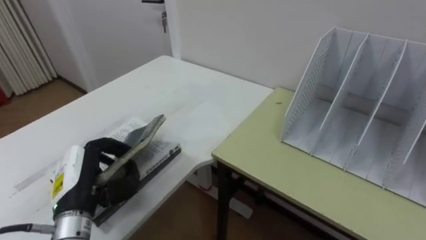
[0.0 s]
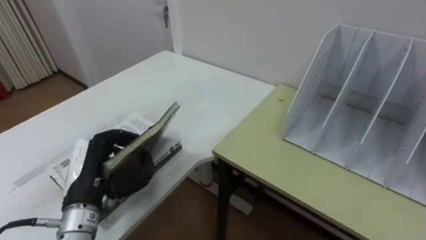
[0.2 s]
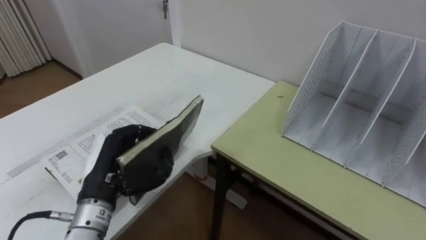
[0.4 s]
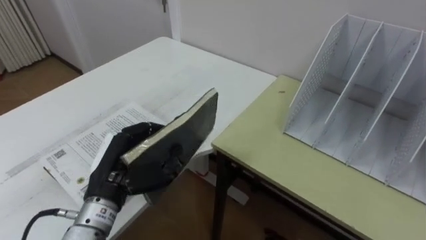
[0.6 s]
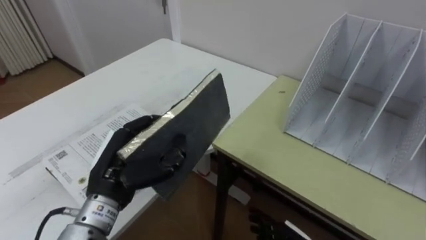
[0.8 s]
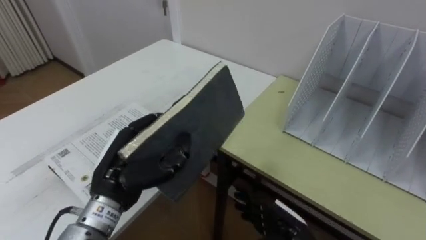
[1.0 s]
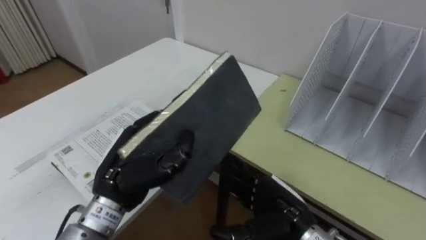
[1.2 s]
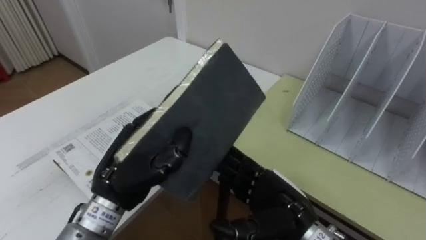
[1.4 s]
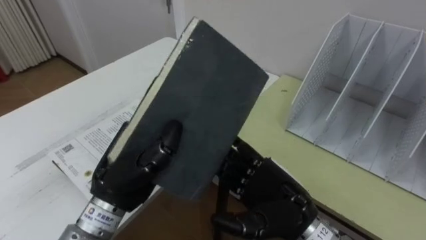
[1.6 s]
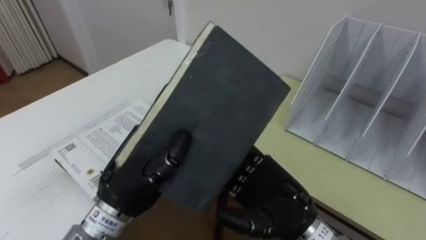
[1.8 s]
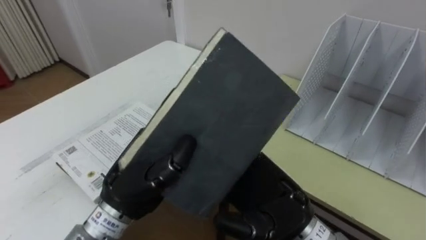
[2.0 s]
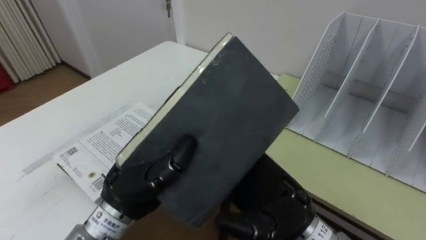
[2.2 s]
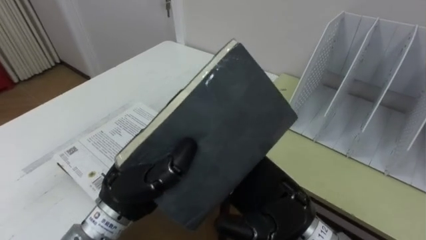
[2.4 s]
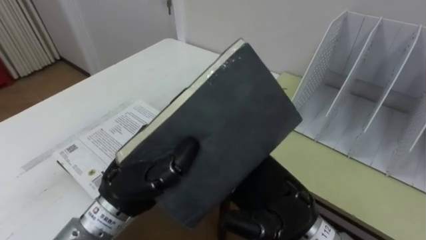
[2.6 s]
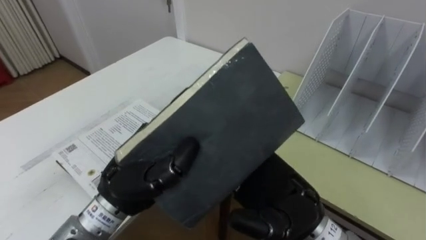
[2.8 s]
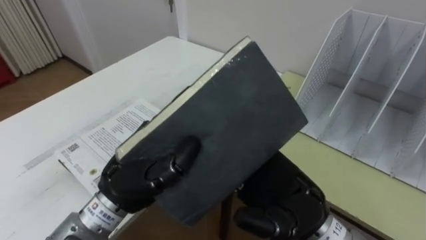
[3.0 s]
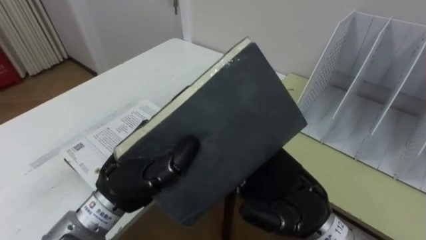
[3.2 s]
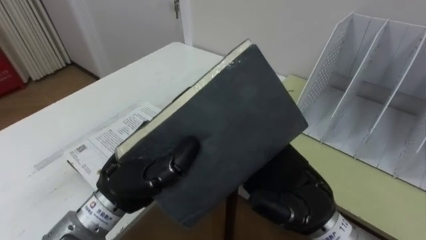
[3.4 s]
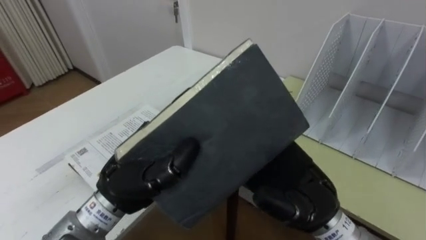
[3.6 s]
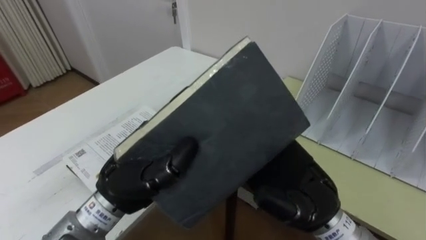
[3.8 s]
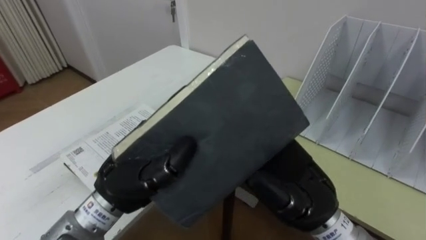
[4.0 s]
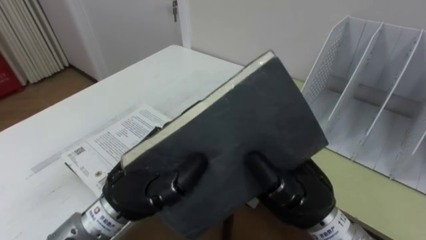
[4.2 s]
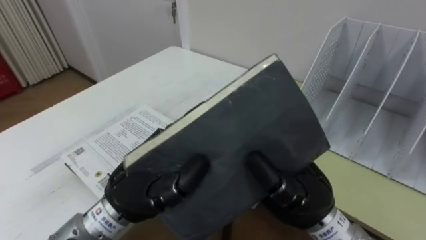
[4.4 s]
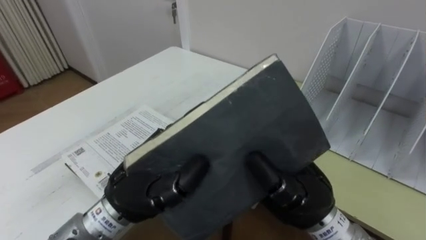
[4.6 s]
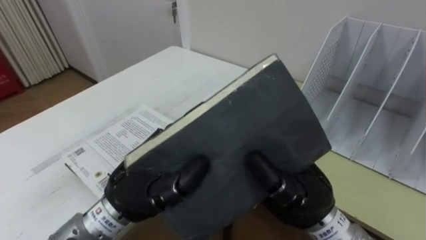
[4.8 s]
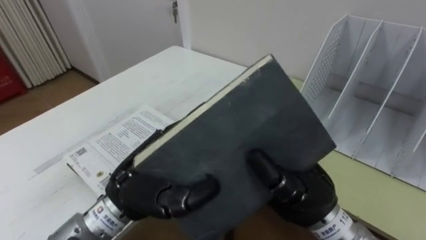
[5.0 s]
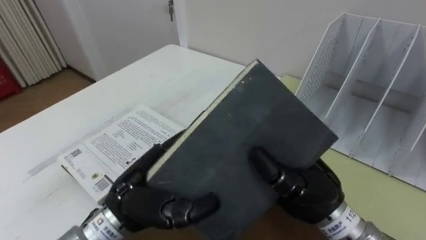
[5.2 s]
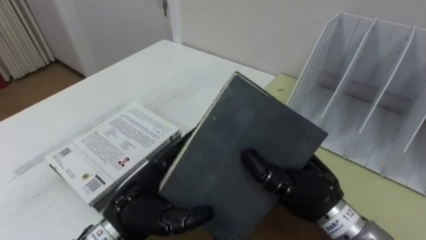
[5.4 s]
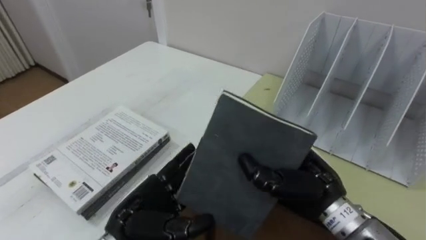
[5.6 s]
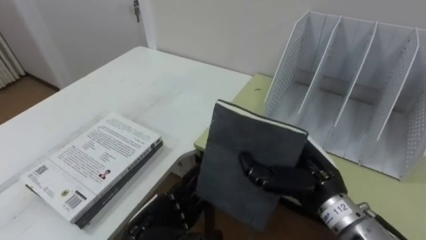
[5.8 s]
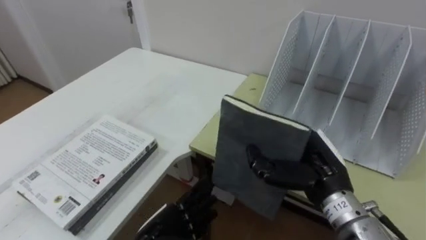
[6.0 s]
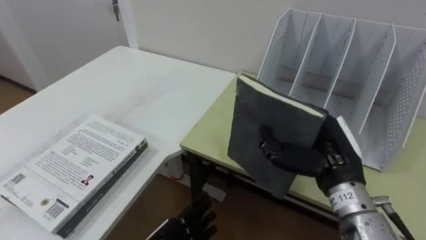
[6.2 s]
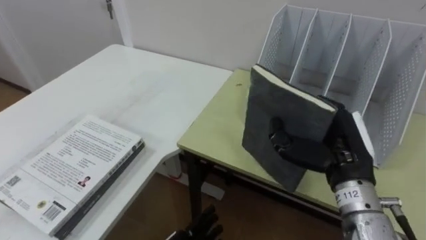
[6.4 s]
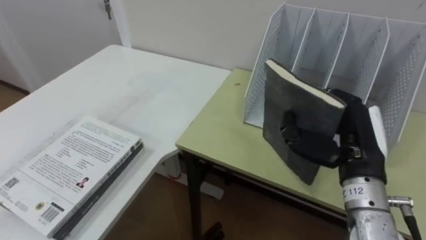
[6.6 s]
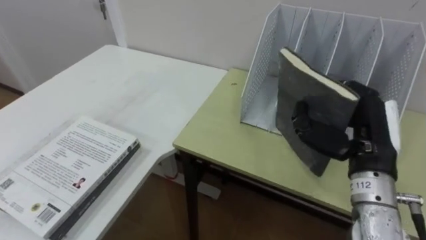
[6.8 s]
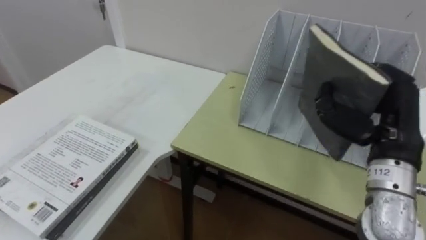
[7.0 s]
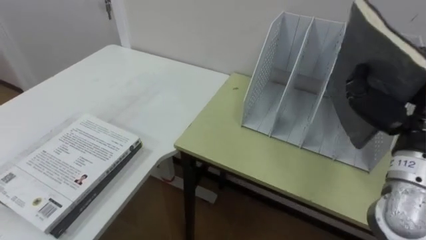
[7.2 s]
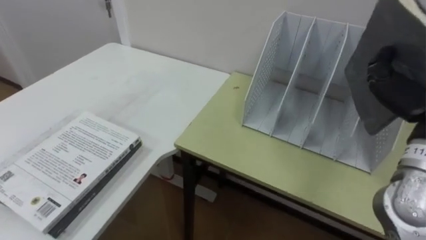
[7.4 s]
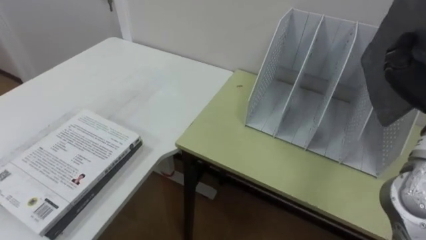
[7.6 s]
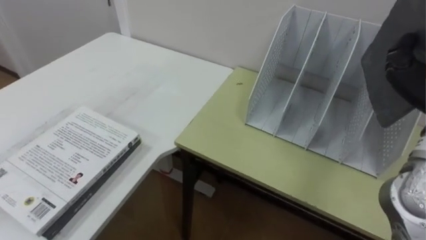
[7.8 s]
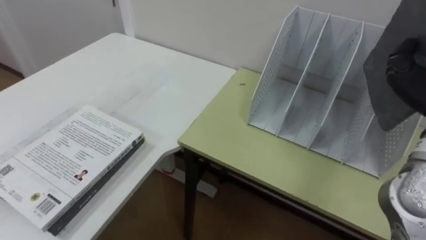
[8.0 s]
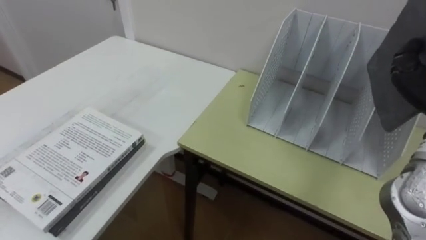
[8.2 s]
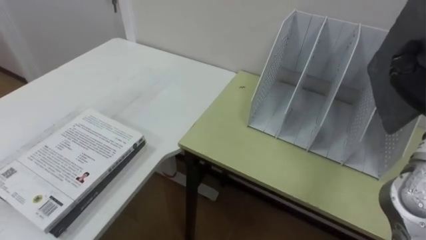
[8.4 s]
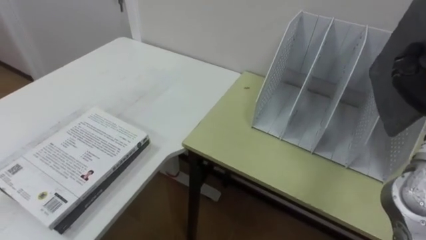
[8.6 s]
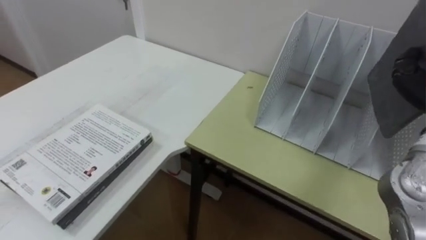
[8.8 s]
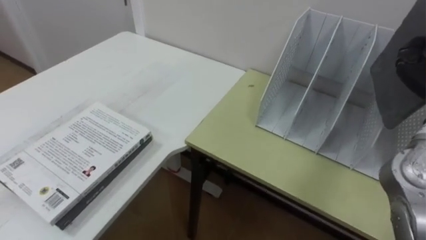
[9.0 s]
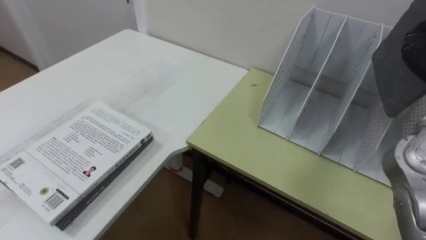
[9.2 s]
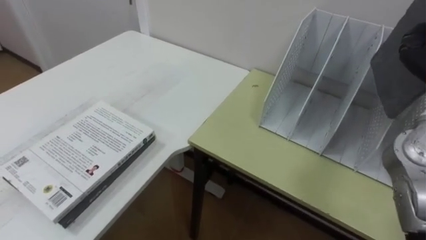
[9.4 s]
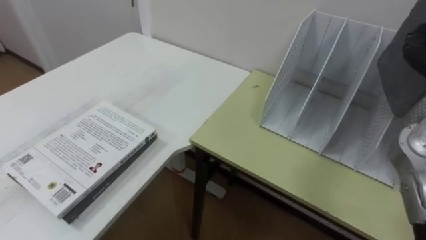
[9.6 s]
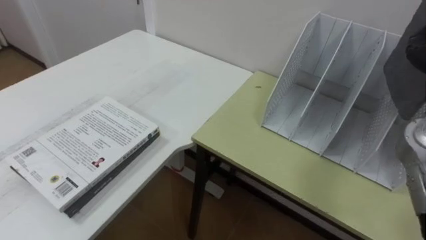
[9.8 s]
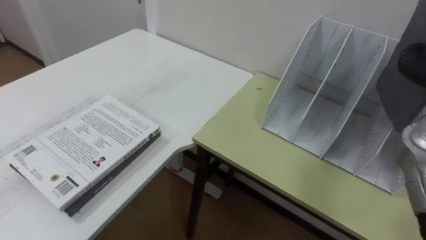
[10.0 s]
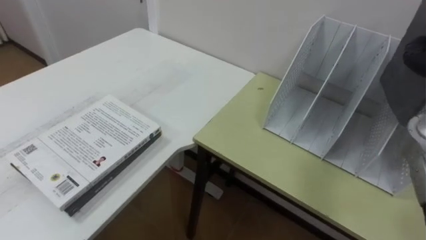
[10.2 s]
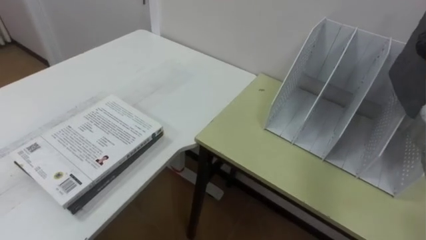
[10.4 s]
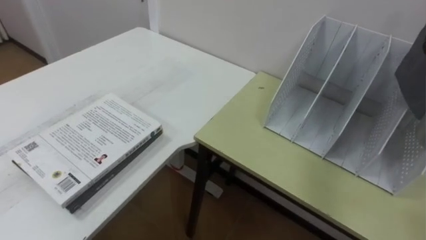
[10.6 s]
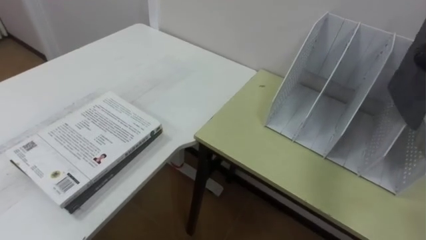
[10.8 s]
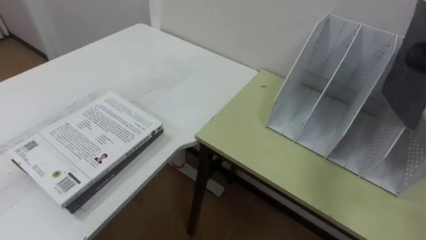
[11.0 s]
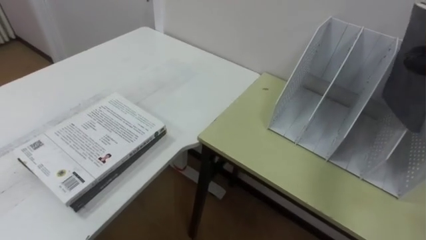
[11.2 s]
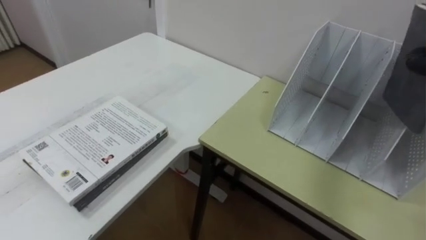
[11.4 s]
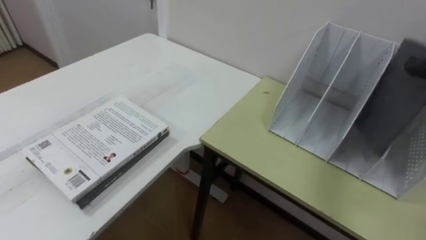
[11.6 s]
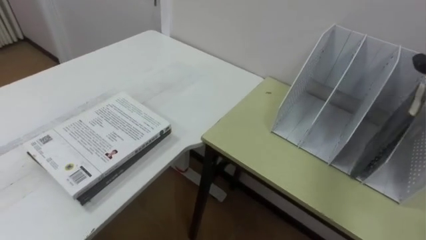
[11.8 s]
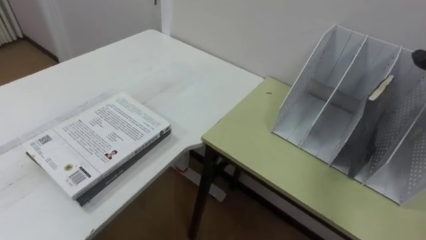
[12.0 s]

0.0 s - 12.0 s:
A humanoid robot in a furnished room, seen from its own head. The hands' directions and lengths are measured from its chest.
Task of the whole recording: Put the books on the table onto the bookshelf.
0.0 s - 1.6 s: The left hand shifts roughly 10 cm to the right and upward.
3.0 s - 4.4 s: The right hand closes its fingers.
4.4 s - 6.0 s: The left hand goes approximately 15 cm downward, and opens its fingers. Meanwhile the right hand goes approximately 5 cm to the right.

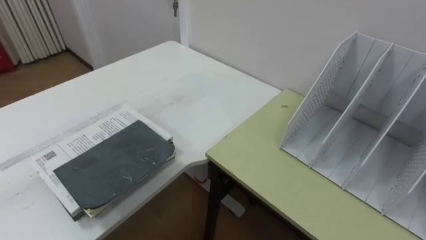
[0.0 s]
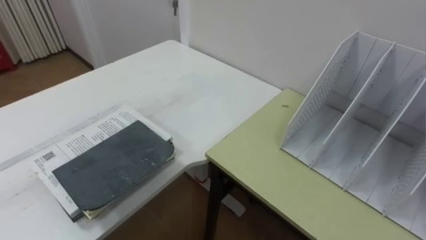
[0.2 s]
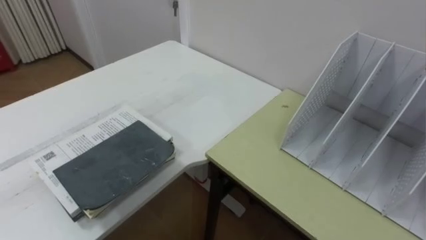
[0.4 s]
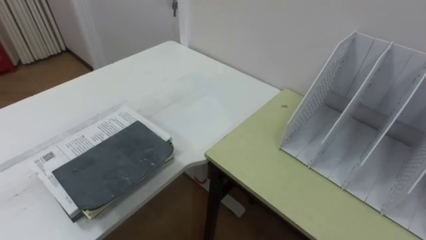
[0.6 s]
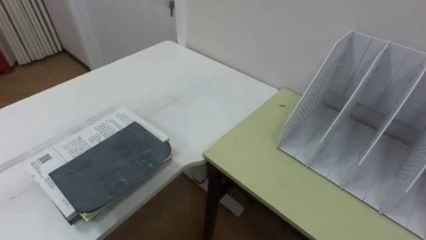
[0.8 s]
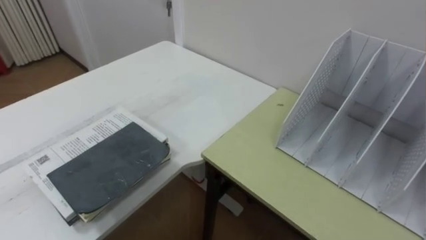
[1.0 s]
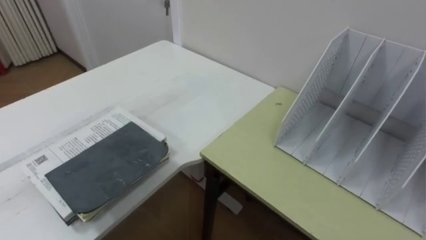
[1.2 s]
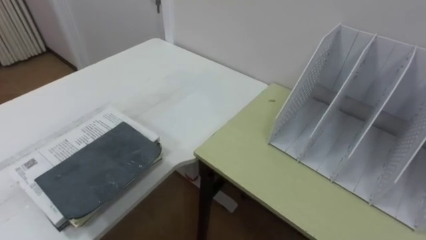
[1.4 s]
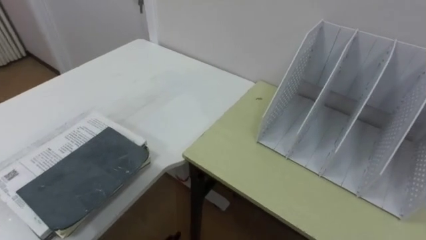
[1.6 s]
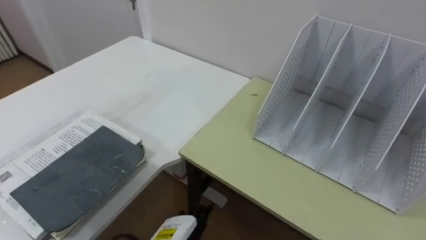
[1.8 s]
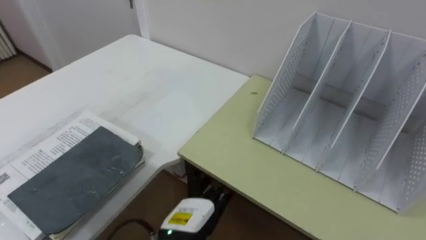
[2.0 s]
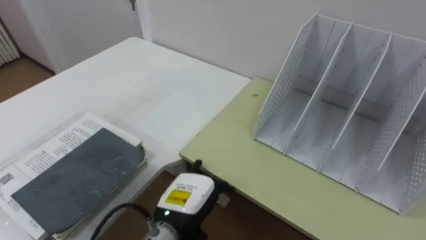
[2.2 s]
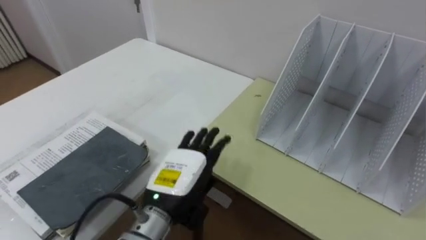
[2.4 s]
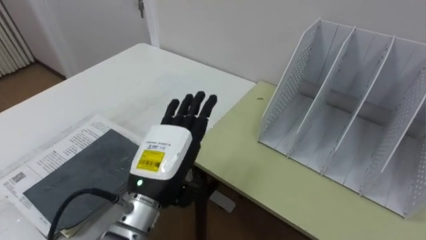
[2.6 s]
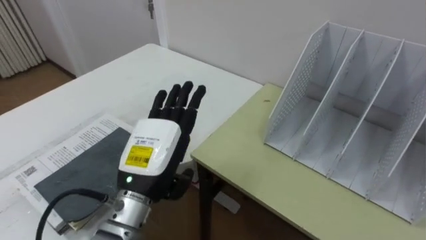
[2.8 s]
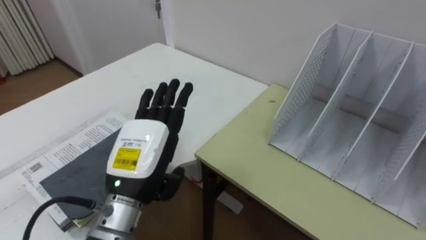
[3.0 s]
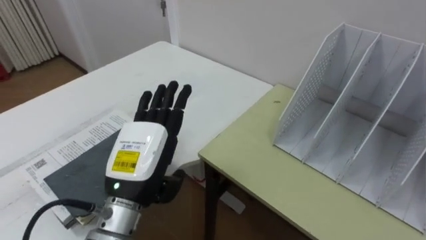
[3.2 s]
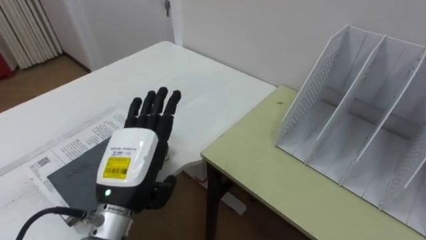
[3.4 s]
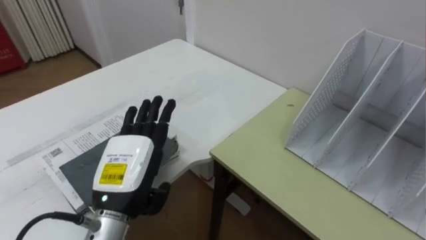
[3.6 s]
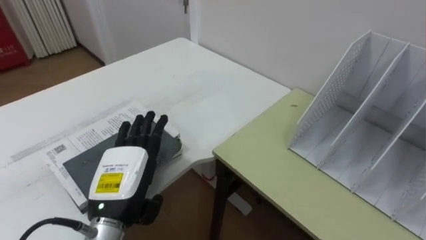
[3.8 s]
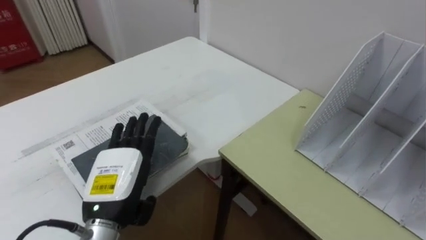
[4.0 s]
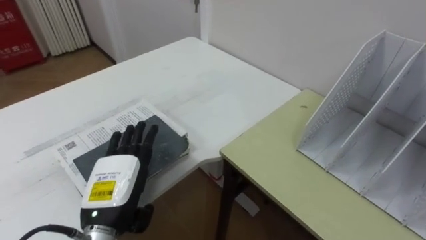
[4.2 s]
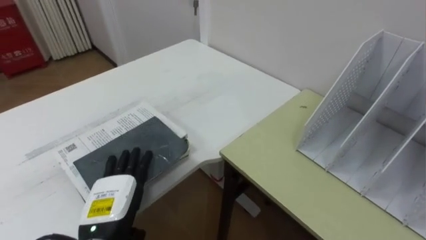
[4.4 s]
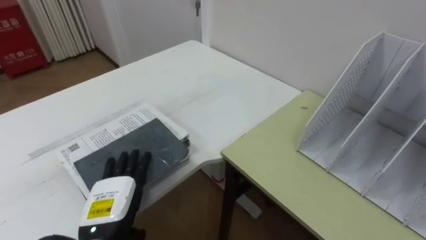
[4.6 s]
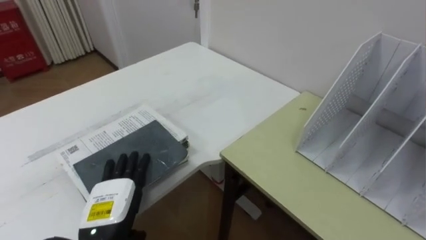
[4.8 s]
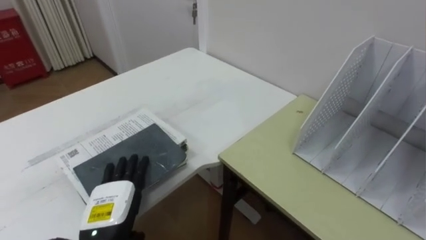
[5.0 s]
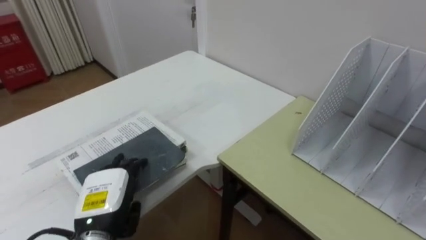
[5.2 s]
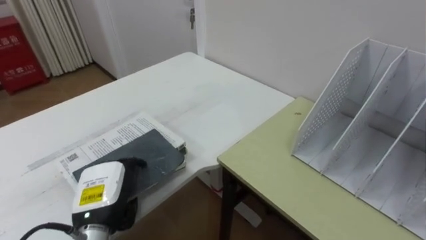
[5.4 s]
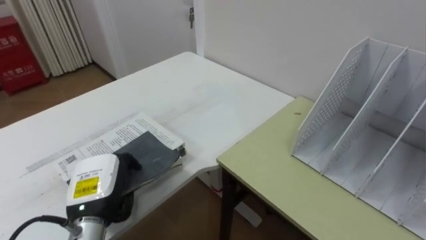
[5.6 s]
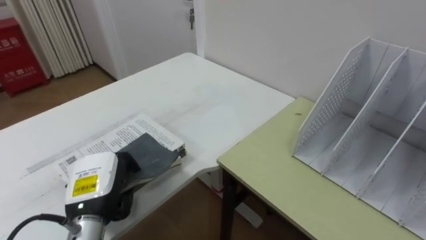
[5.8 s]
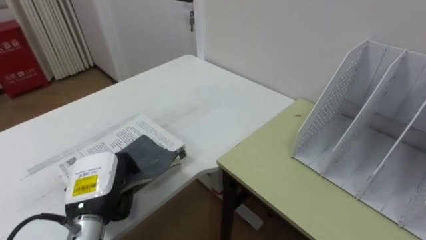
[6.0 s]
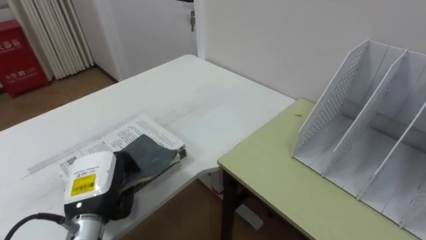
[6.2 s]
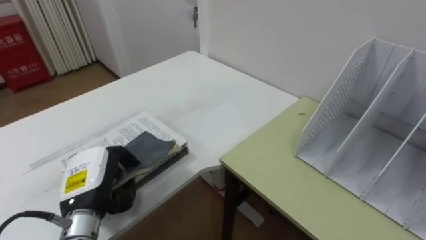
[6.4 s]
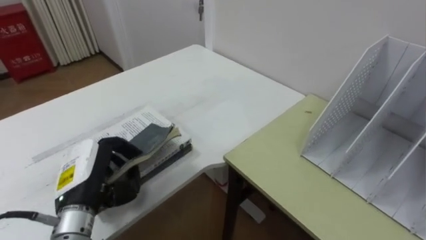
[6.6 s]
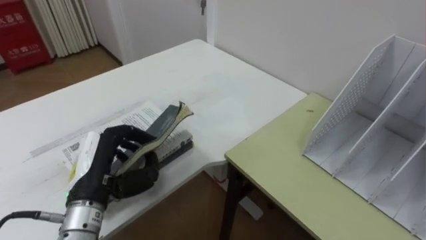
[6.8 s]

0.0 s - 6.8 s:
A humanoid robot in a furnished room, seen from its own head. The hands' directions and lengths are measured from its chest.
Task of the whole recording: Put the books on the table onto the bookshelf.
2.8 s - 4.0 s: The left hand goes approximately 5 cm to the left.
4.0 s - 5.4 s: The left hand goes roughly 5 cm downward.
5.4 s - 6.8 s: The left hand is displaced upward by approximately 5 cm, and closes its fingers.
